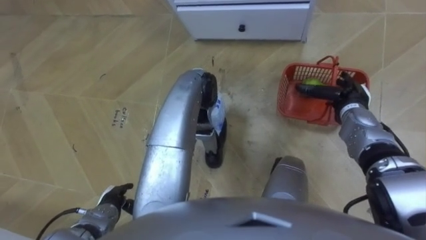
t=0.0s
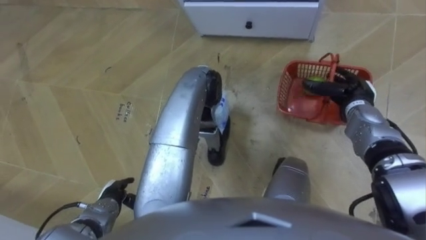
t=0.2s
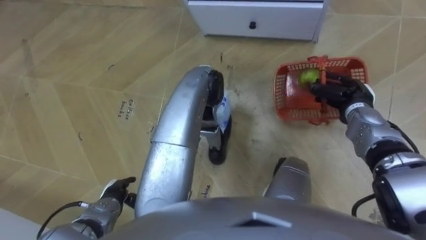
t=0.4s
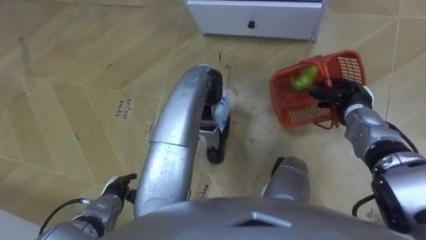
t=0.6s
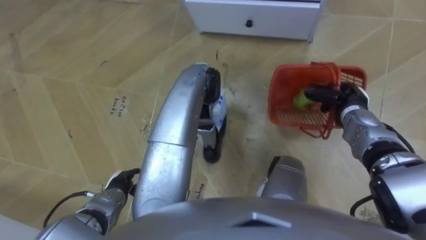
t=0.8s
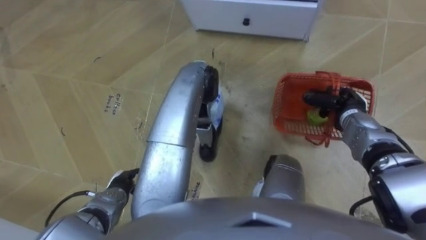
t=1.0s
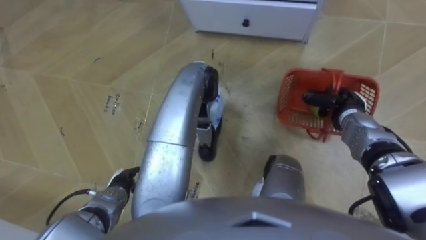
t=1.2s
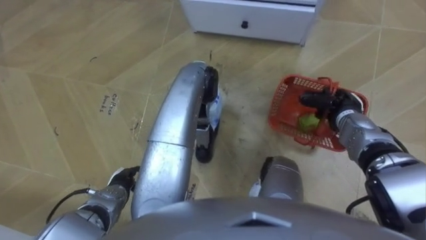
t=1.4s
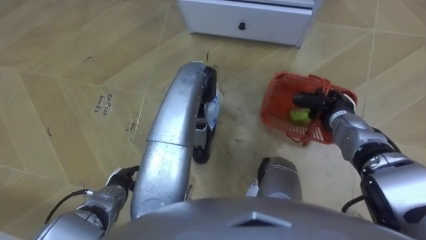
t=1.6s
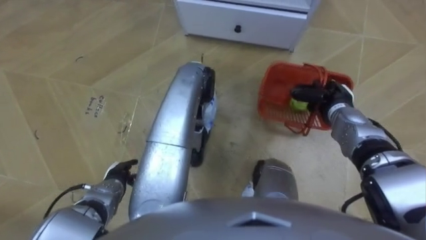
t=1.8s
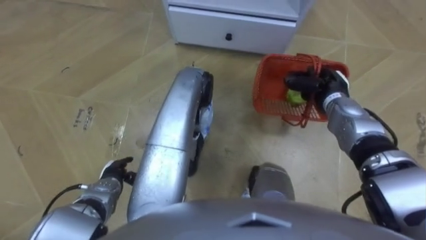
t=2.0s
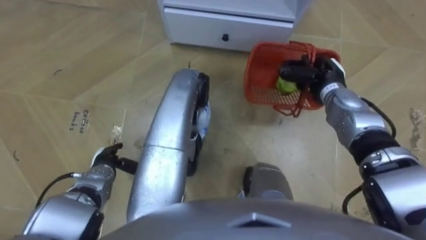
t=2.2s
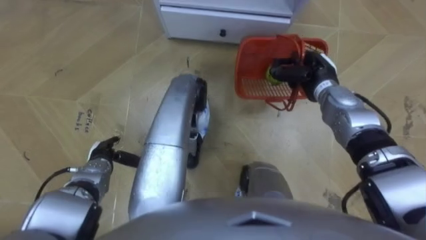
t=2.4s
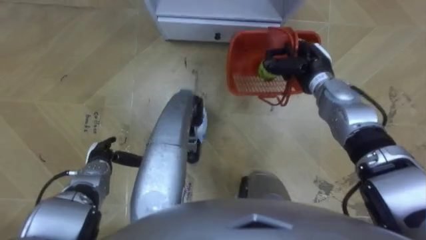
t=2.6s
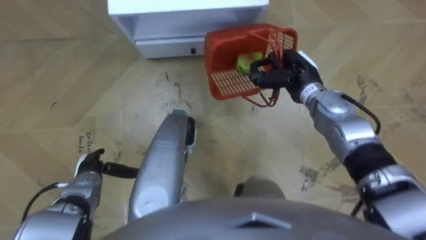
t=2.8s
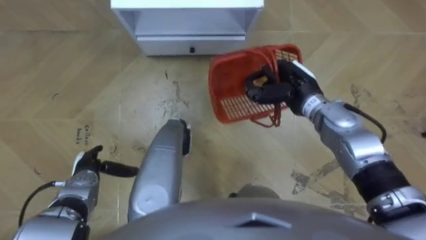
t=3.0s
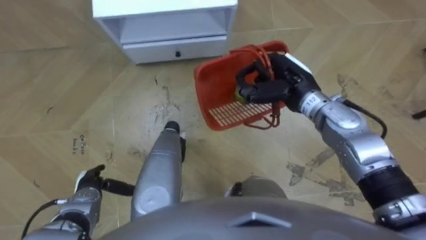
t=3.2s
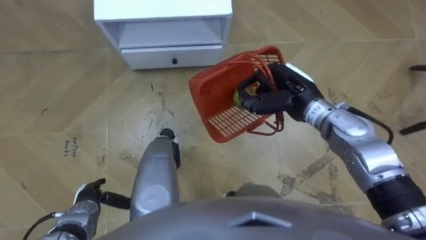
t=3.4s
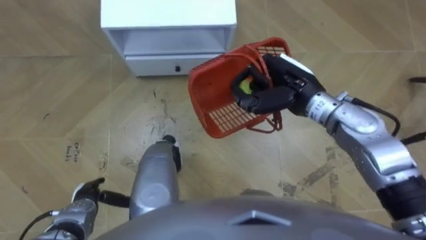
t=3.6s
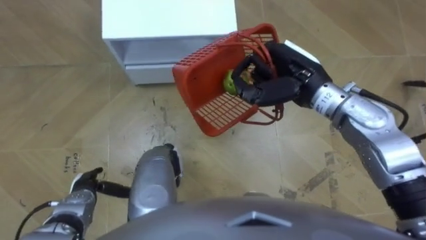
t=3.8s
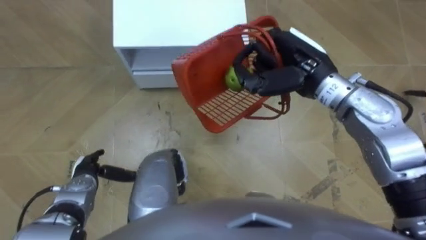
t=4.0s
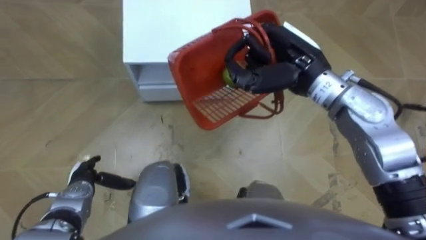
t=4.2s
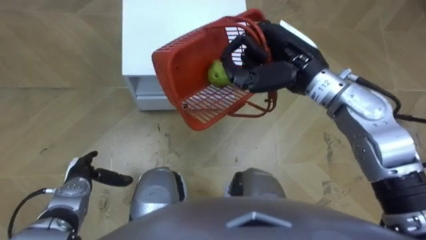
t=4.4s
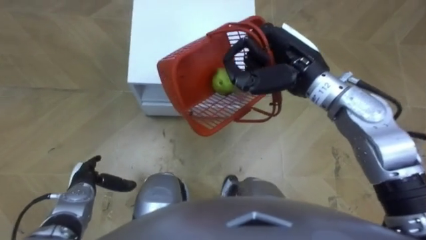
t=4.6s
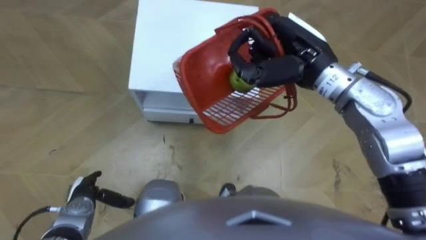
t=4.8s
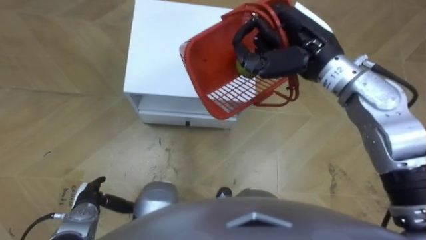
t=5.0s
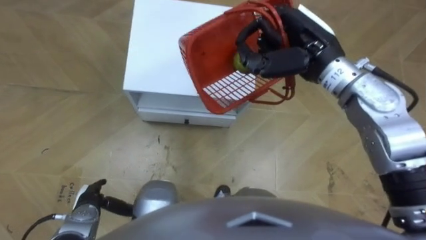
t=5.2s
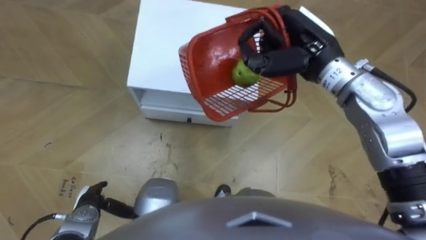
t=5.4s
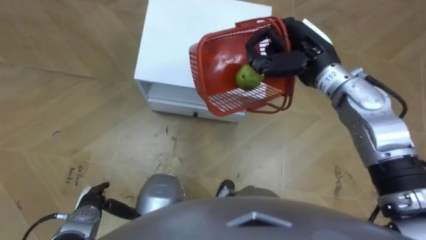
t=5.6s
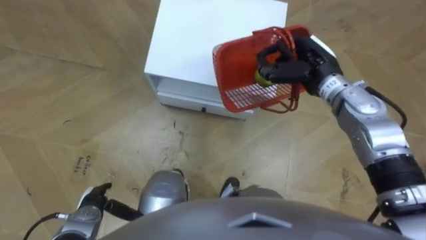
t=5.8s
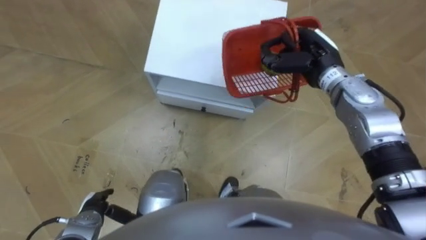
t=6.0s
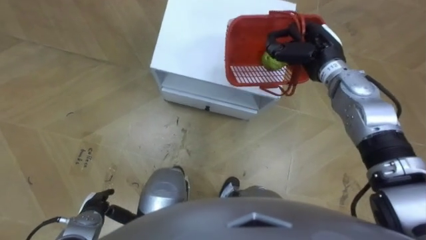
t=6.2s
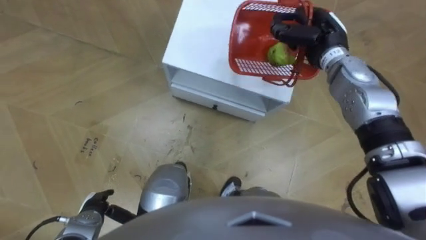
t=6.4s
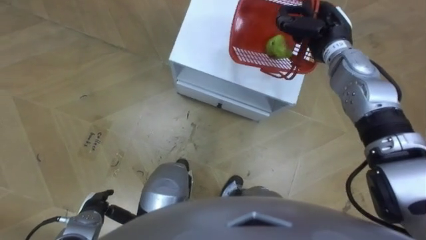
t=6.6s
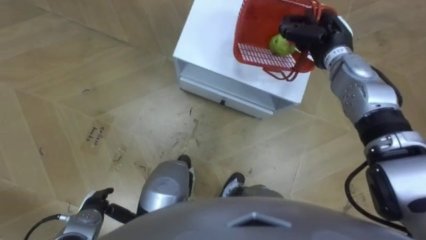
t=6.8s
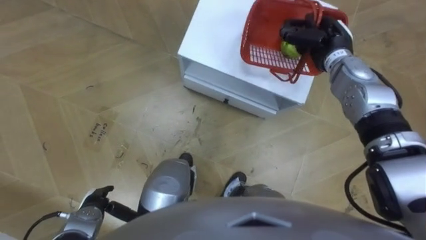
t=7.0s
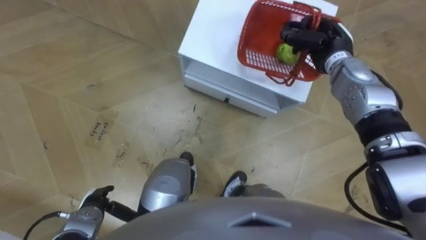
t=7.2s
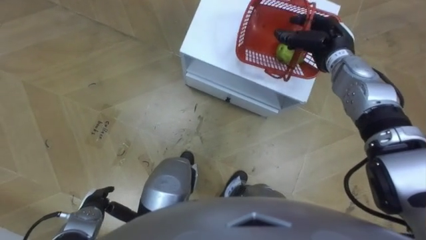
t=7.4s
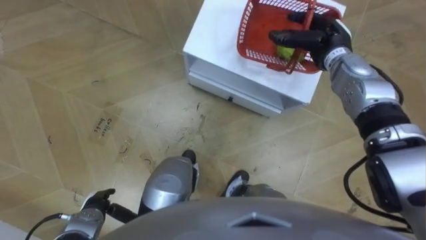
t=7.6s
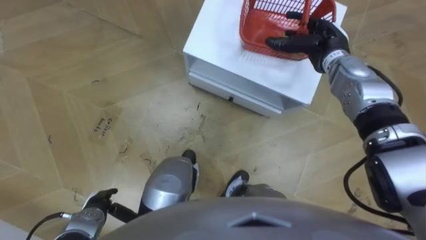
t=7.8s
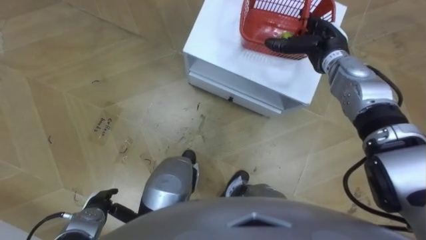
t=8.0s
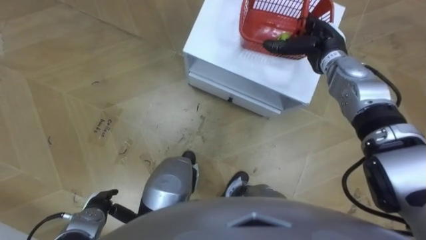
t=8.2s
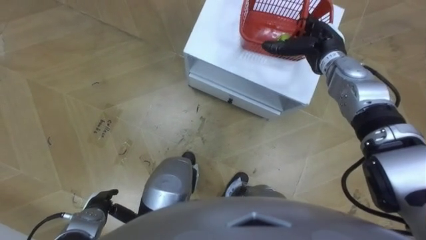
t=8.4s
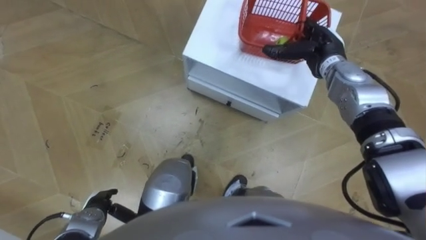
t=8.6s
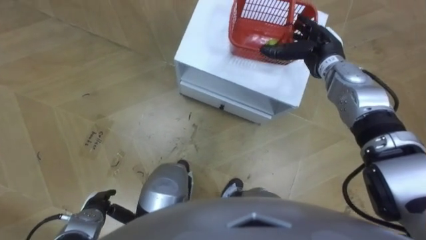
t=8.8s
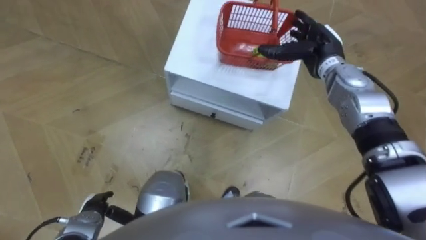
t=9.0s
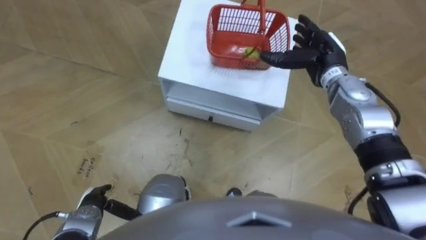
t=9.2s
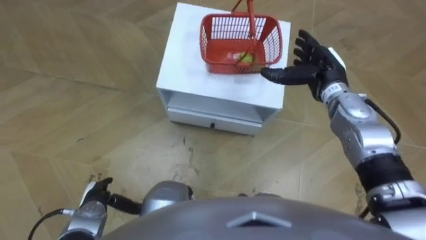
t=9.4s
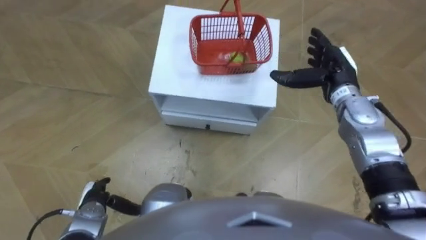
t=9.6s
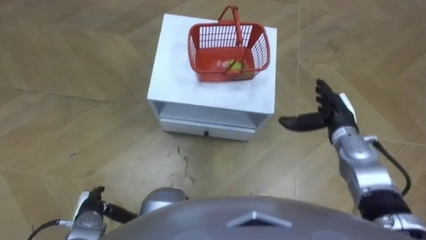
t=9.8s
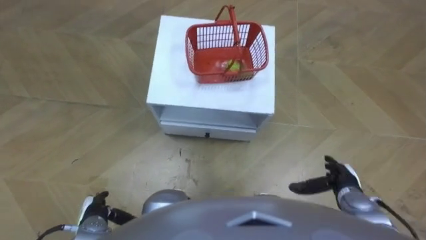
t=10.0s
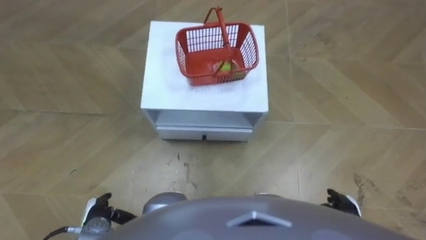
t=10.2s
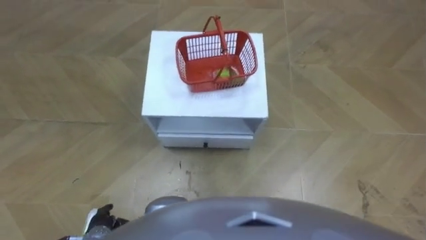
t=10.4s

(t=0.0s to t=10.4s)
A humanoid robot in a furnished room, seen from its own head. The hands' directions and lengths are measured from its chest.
Task of the whole recording: Pick up the fruit basket from the floor and place it on the cabinet.
t=0.0s - t=1.4s: The right hand closes up.
t=1.4s - t=3.0s: The right hand travels to the left and upward by approximately 15 cm. The left hand is displaced to the left by roughly 5 cm.
t=3.0s - t=4.4s: The right hand shifts about 10 cm upward.
t=4.4s - t=6.0s: The left hand shifts approximately 10 cm backward. The right hand is displaced downward and to the right by some 10 cm.
t=6.0s - t=7.4s: The right hand ends up approximately 5 cm from where it was.
t=7.4s - t=9.0s: The right hand opens up.
t=9.0s - t=10.4s: The right hand moves backward and downward, approximately 40 cm.

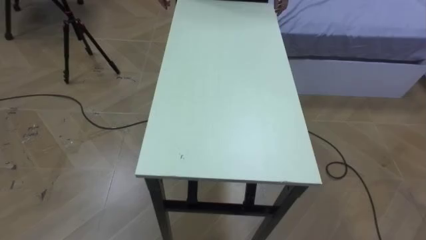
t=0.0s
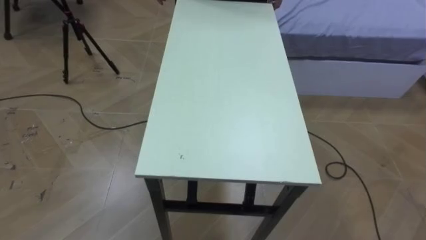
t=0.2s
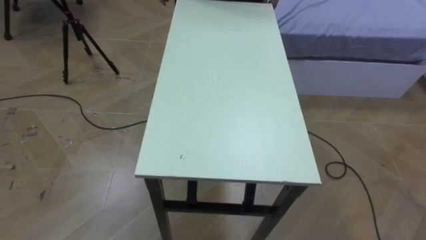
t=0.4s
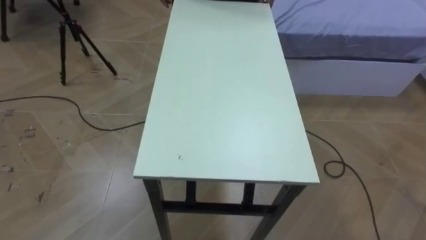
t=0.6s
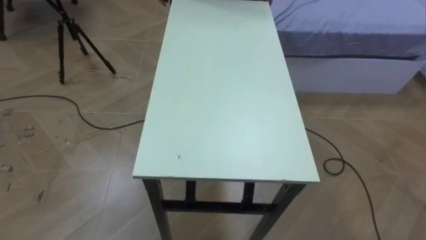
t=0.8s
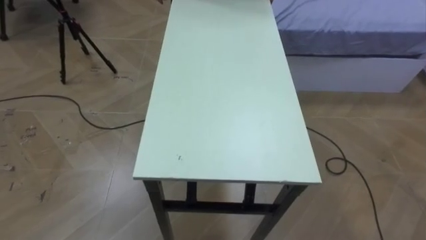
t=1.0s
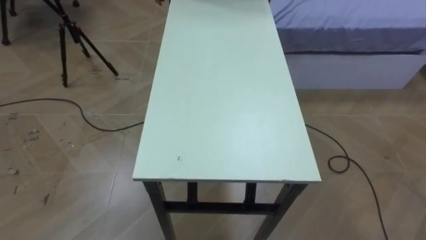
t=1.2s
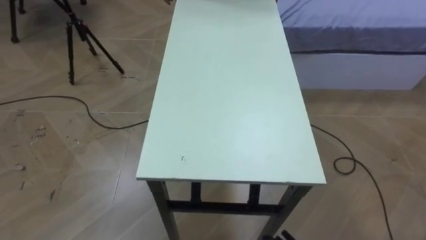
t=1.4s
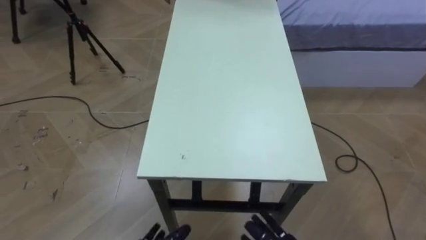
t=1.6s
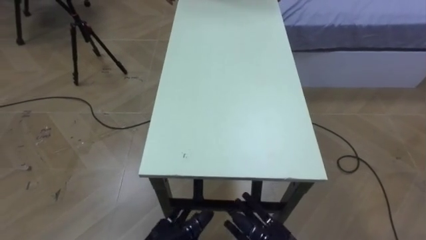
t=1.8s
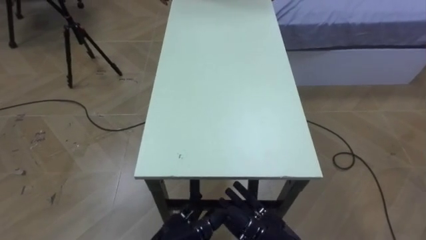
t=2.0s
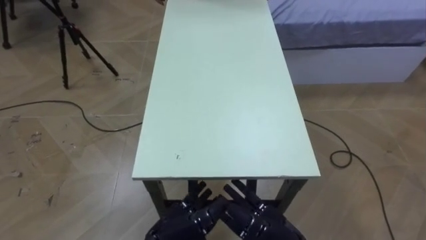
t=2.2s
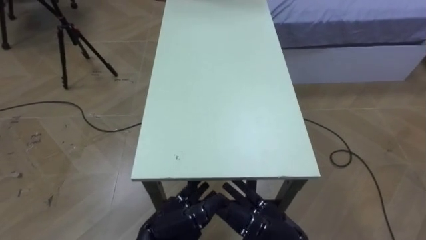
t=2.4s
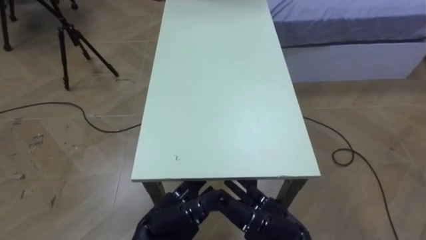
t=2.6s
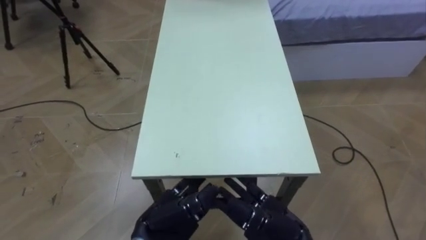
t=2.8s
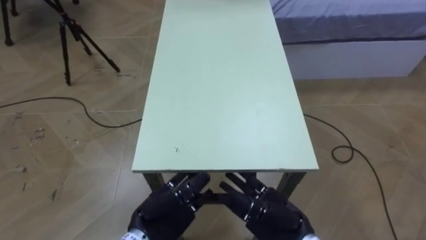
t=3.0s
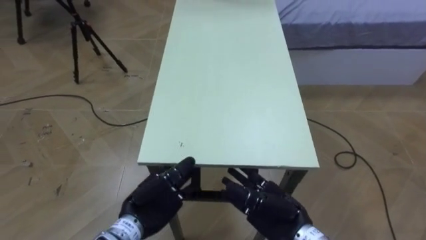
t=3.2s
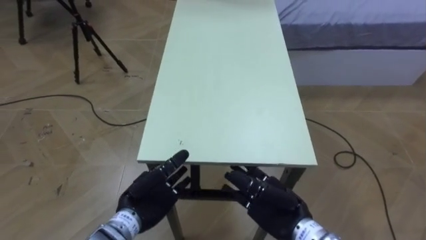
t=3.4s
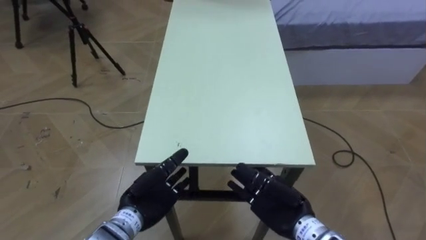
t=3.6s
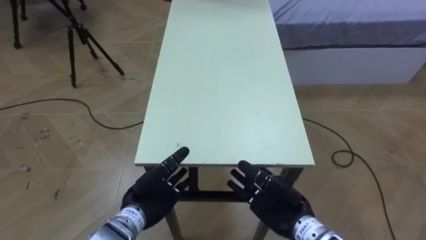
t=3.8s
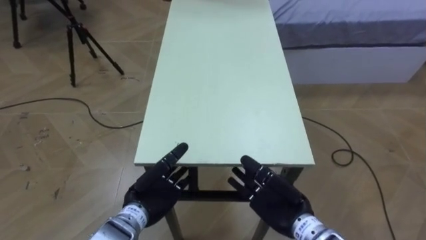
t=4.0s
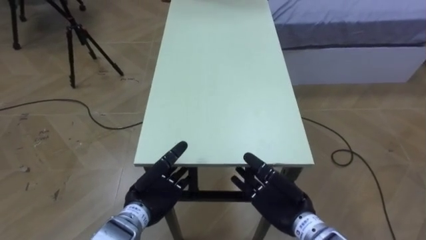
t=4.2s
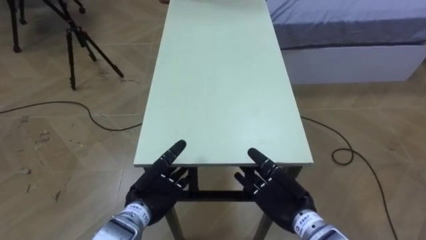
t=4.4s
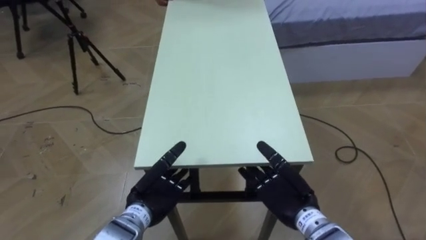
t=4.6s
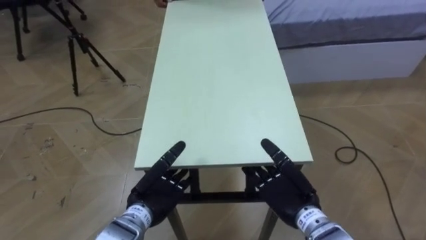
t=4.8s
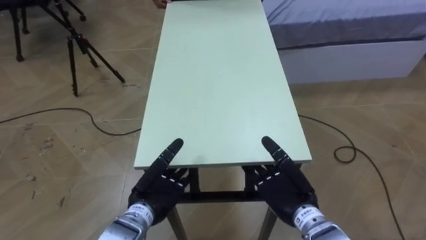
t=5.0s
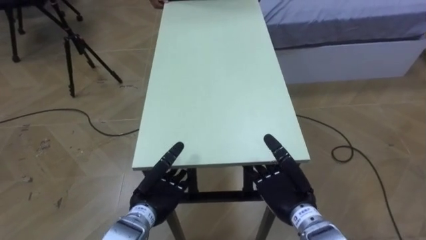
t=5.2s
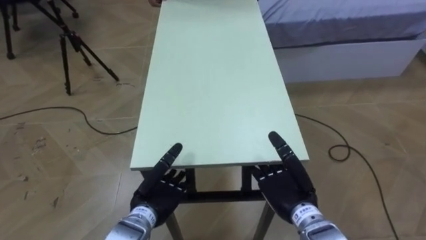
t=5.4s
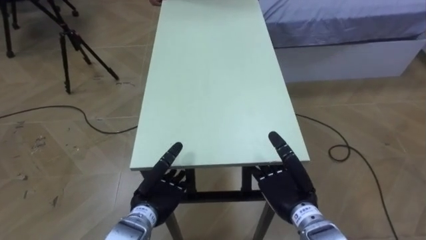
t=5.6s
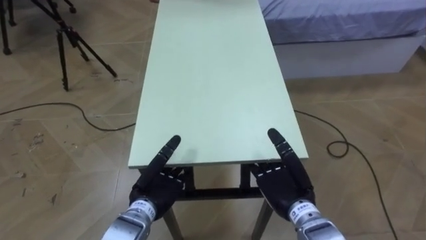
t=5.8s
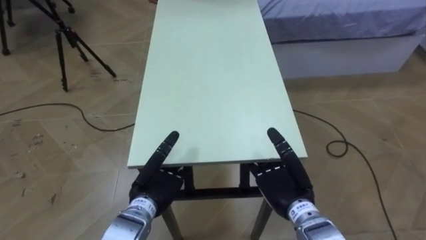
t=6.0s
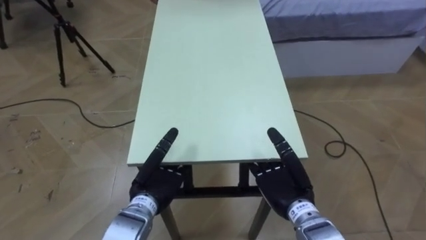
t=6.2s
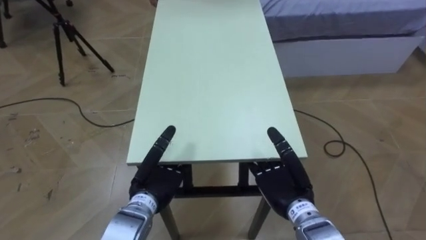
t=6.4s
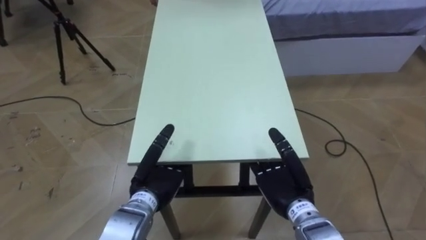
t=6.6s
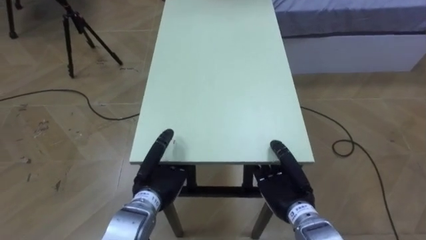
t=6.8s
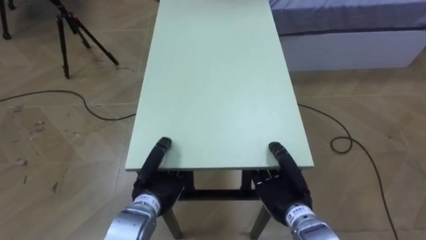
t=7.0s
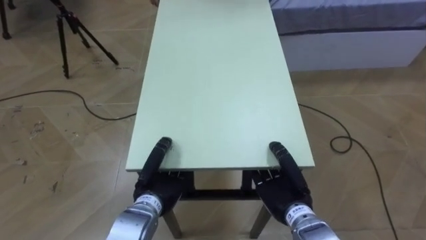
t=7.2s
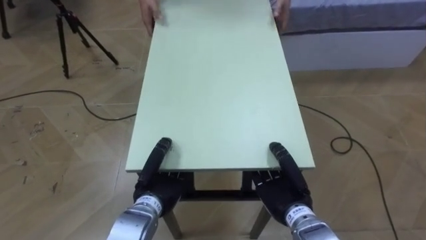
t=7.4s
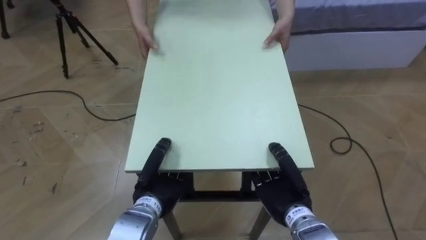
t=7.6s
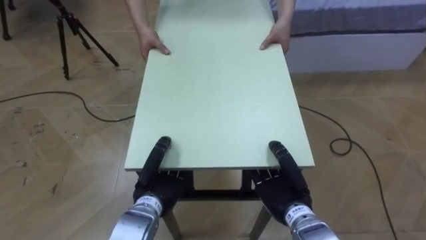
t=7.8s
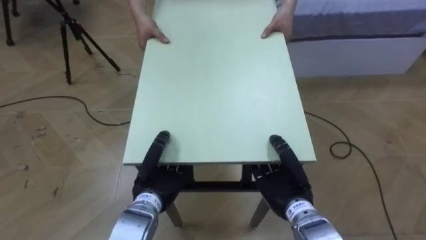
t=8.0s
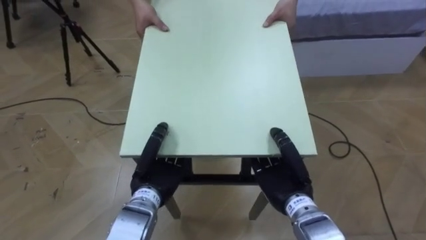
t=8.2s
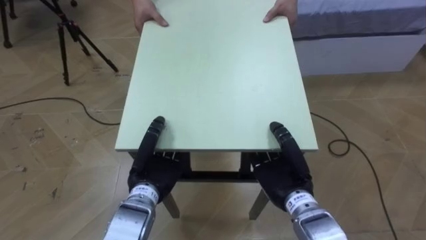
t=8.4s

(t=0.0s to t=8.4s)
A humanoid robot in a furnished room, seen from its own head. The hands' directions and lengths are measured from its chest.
Task of the whole recording: Move the table to the back left with someone.
t=2.8s - t=4.2s: The hands both shift forward by approximately 5 cm.
t=5.6s - t=7.0s: The right hand closes, while the left hand closes its fingers.
